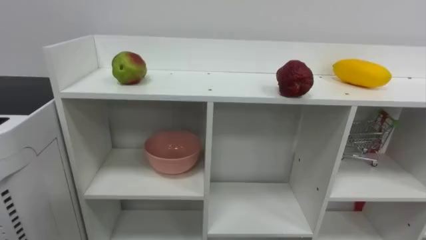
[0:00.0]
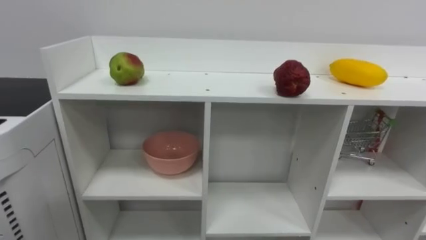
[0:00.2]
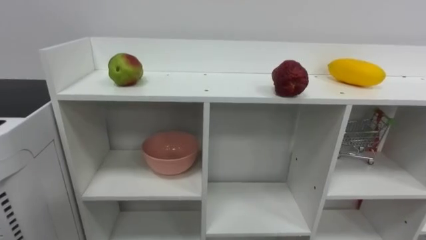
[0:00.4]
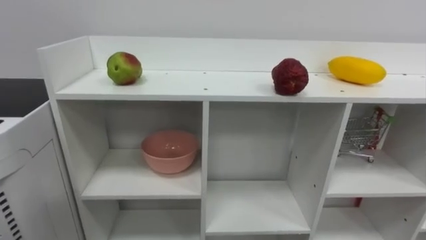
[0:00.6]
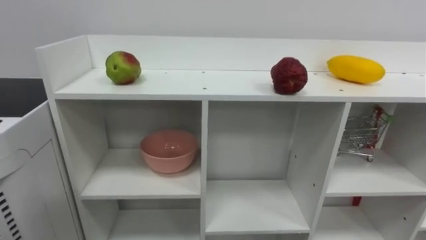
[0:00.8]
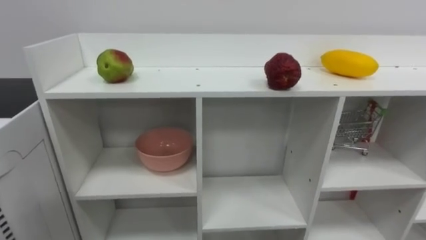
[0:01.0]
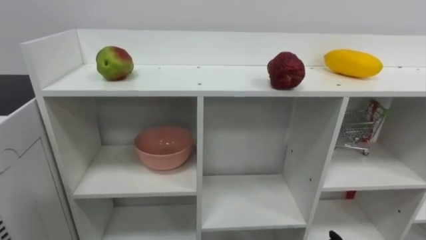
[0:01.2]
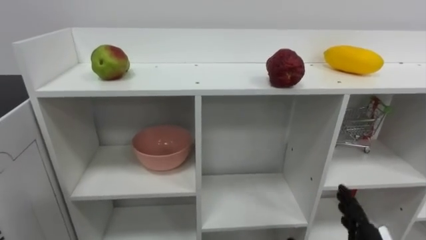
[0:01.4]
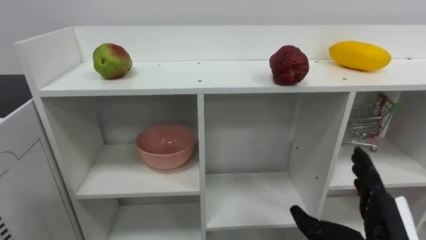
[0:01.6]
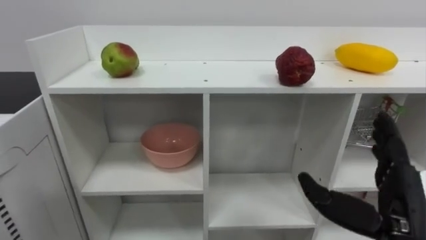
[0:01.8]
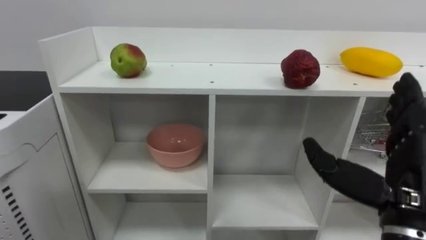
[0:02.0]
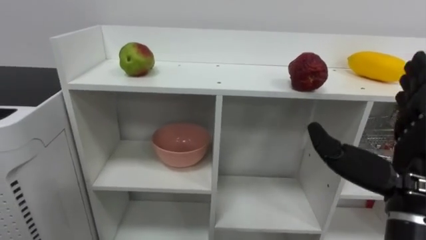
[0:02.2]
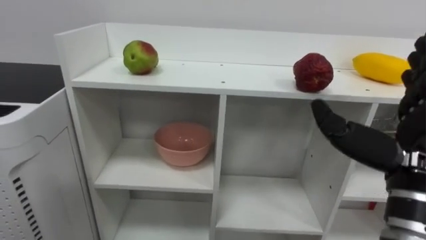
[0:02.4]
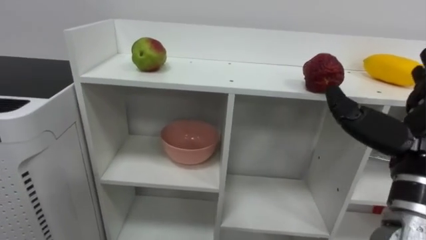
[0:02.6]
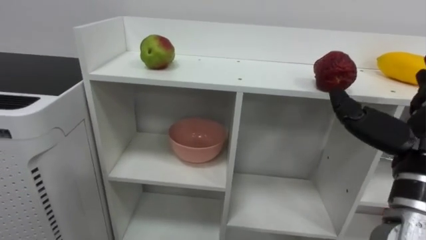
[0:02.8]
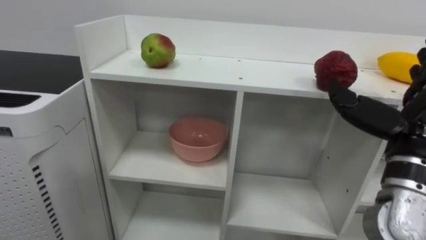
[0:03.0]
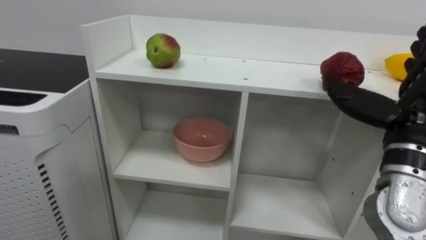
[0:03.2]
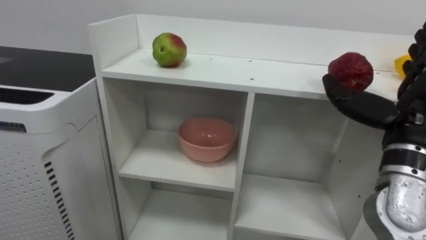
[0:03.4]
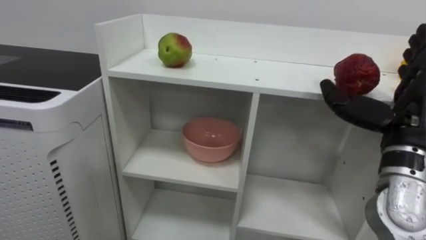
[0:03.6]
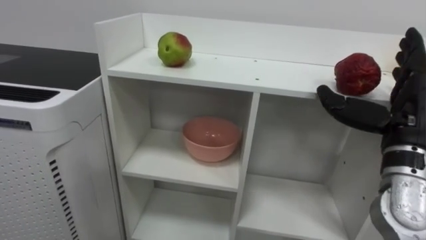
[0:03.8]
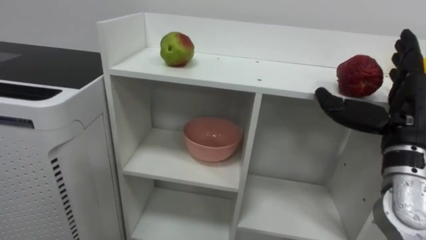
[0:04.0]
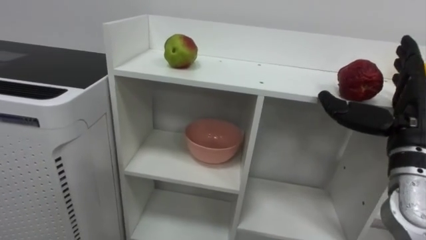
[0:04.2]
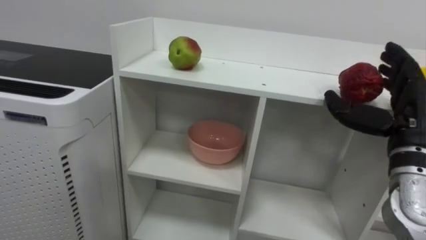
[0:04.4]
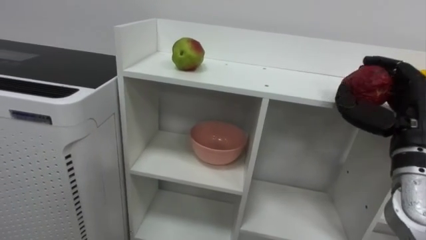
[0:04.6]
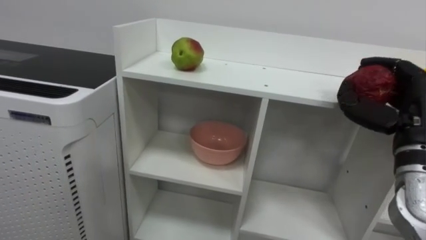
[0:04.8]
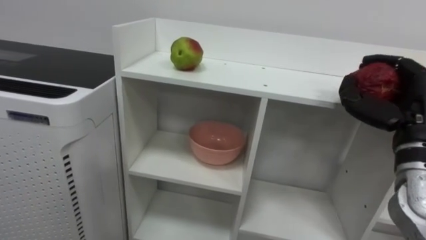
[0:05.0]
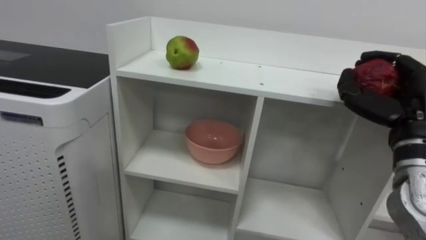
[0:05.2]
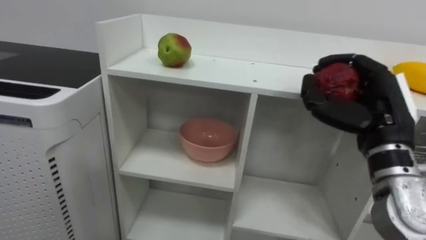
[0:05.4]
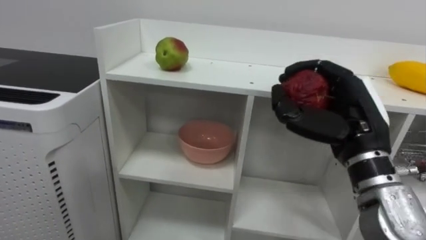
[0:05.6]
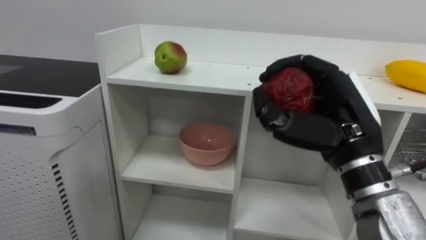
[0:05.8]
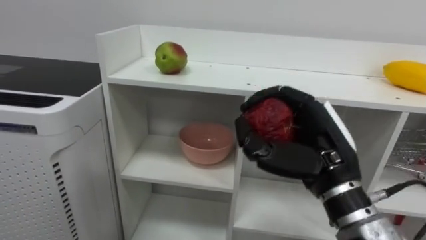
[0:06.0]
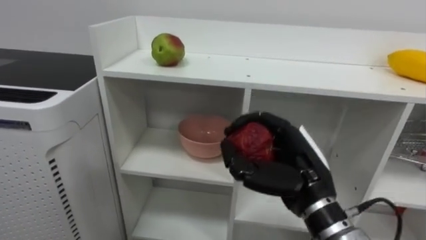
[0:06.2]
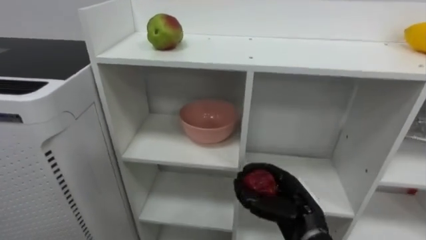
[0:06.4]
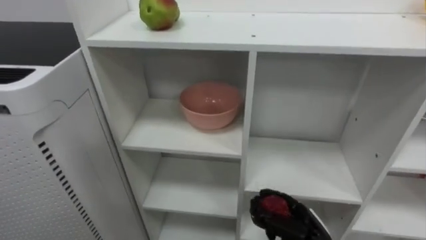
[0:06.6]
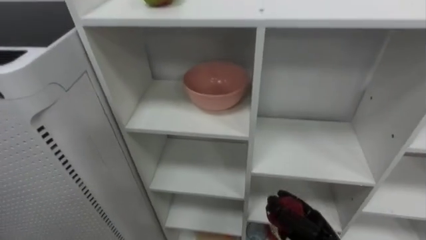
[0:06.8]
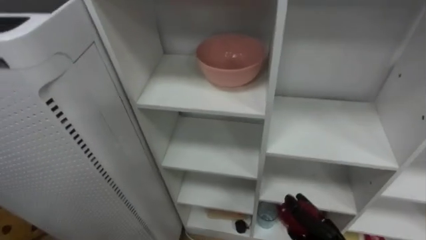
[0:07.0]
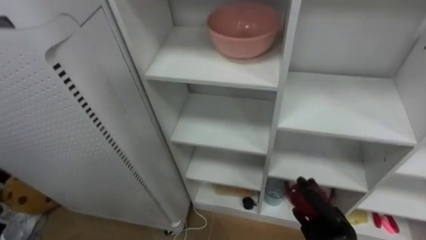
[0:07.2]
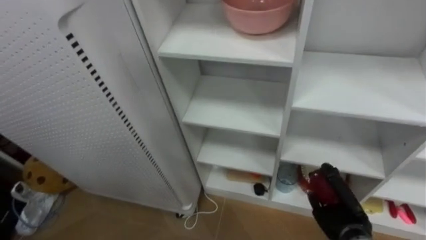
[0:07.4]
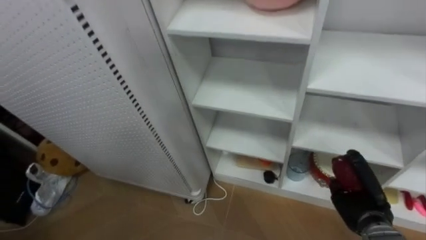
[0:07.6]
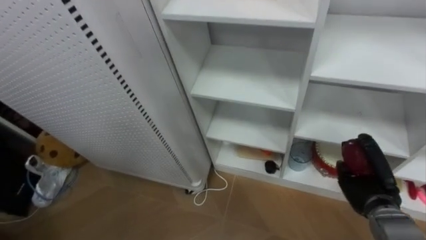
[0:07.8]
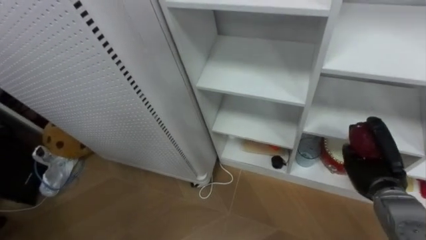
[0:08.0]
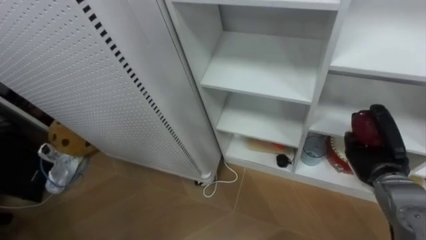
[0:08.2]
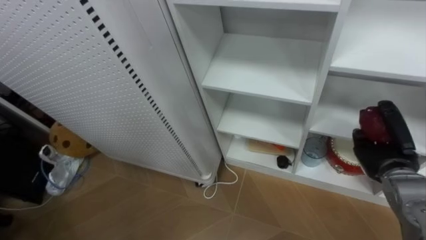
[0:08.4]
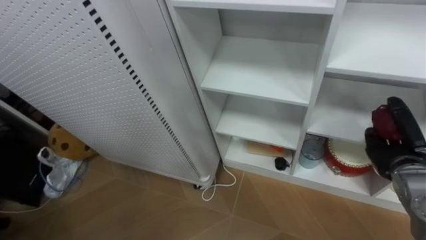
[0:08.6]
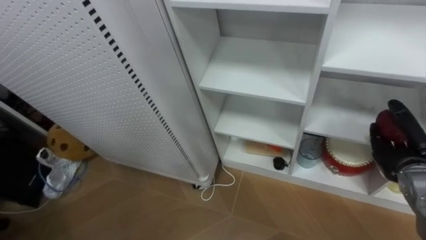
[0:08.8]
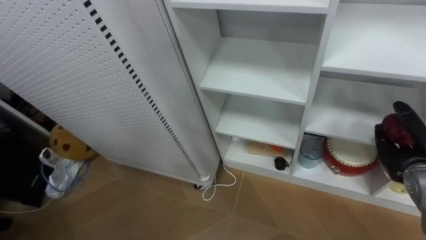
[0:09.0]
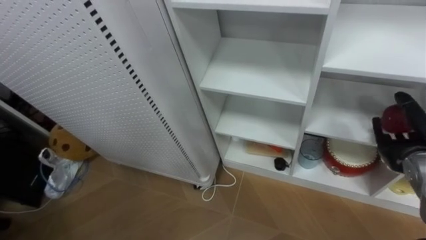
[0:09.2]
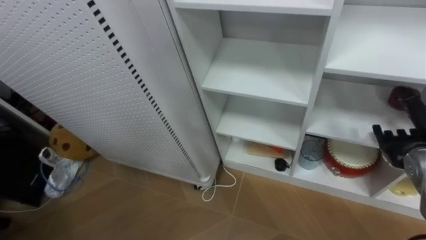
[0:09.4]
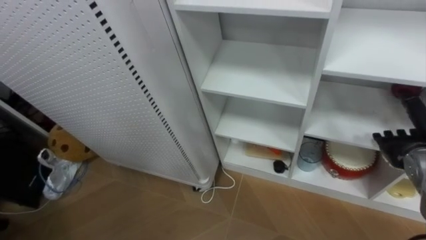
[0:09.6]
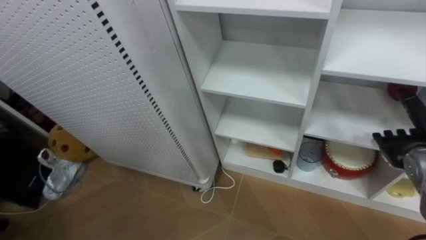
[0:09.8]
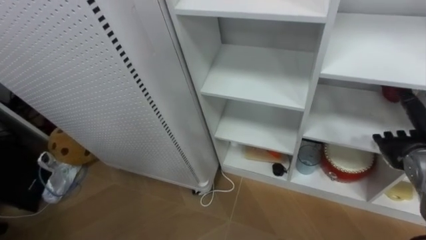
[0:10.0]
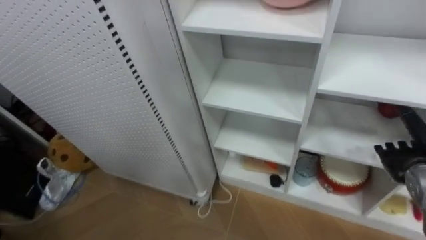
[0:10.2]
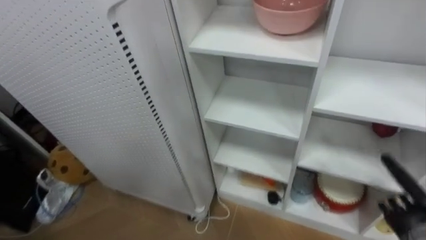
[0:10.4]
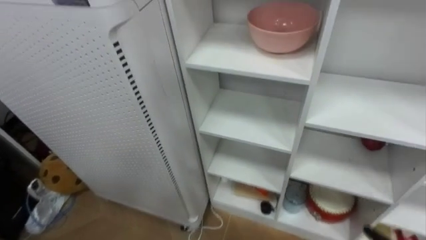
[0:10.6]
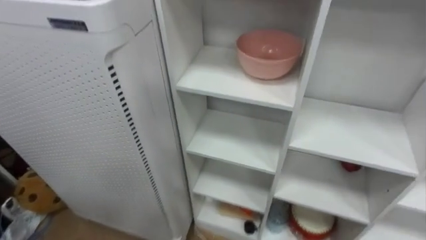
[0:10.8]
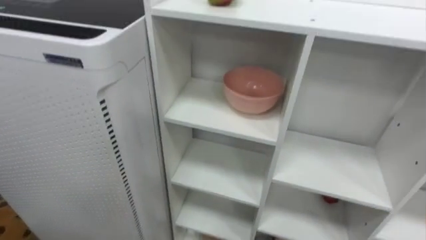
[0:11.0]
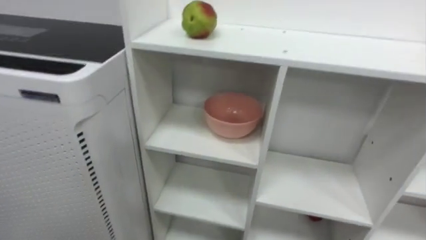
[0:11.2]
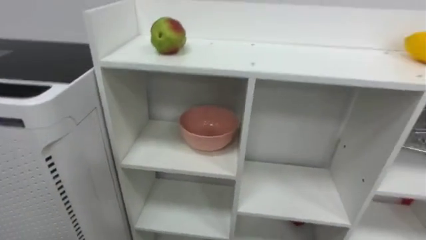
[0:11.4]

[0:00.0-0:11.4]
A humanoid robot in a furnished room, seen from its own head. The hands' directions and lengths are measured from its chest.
Task of the whole recording: Put the apple in the cell in the second column from the left and the second row from the top.
0:02.8 to 0:04.2: The right hand is displaced forward by approximately 5 cm.
0:04.2 to 0:05.6: The right hand travels to the left by roughly 10 cm, and closes up.
0:07.2 to 0:08.6: The right hand moves upward, to the right and forward, some 20 cm.
0:08.6 to 0:10.0: The right hand opens its fingers.

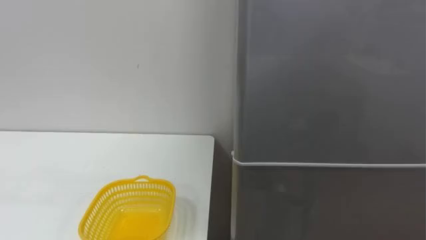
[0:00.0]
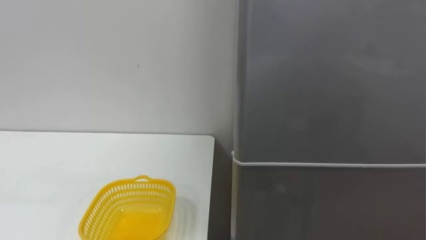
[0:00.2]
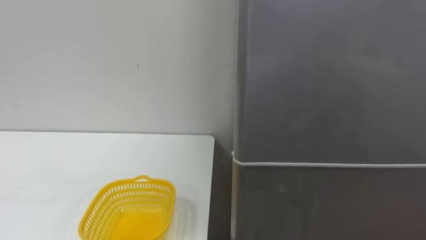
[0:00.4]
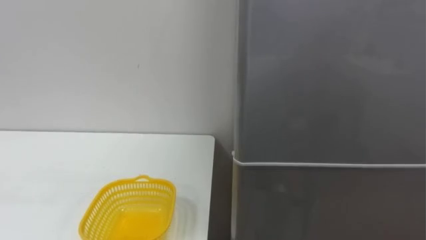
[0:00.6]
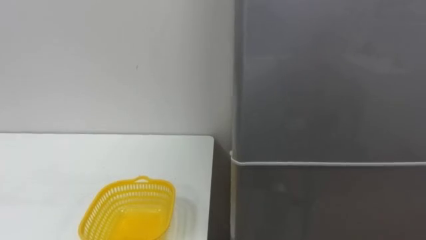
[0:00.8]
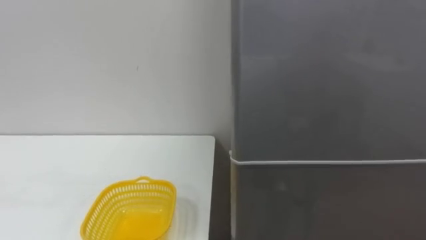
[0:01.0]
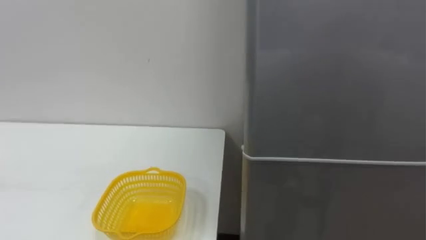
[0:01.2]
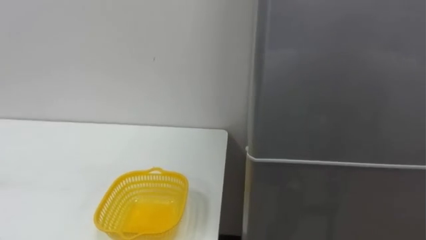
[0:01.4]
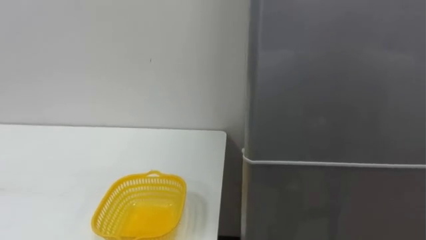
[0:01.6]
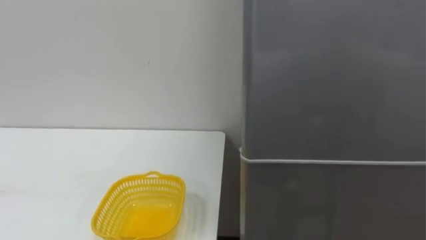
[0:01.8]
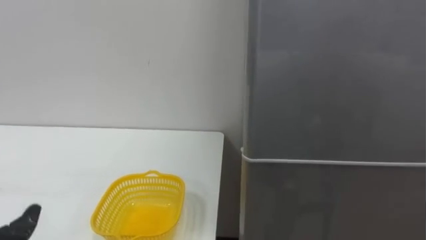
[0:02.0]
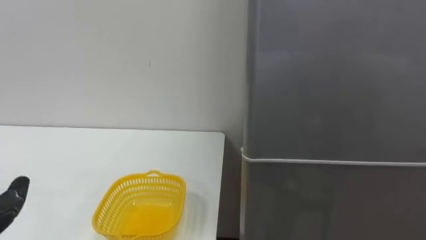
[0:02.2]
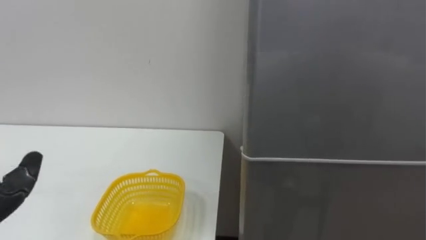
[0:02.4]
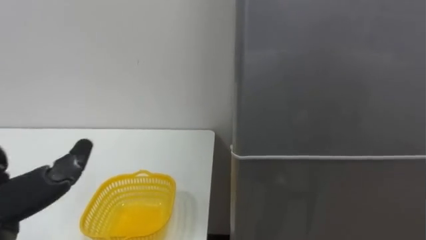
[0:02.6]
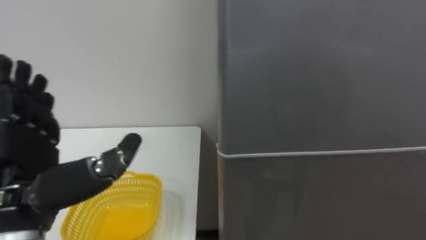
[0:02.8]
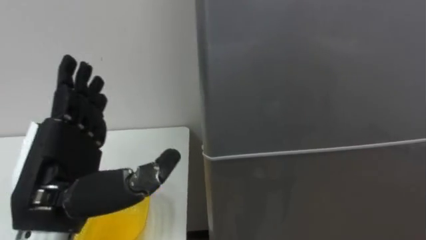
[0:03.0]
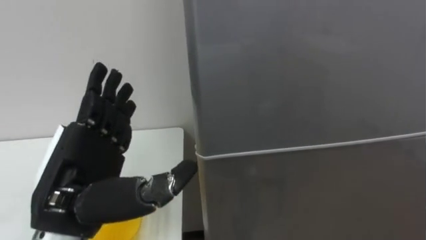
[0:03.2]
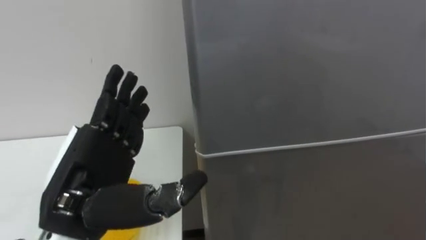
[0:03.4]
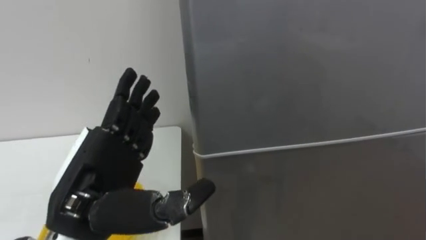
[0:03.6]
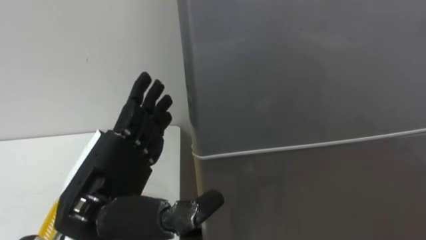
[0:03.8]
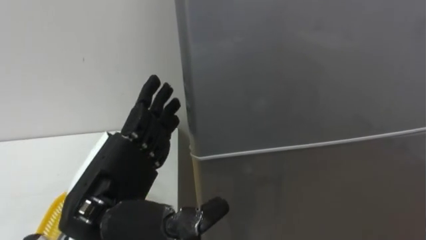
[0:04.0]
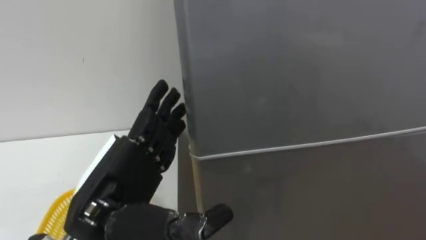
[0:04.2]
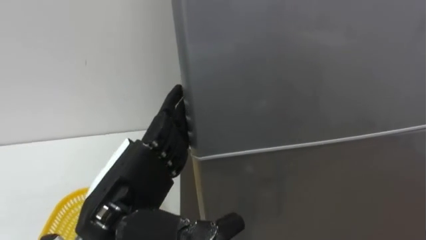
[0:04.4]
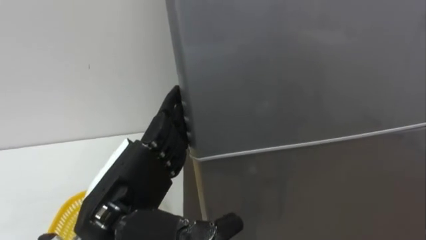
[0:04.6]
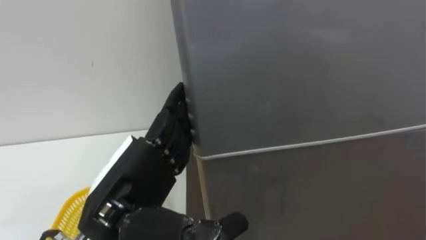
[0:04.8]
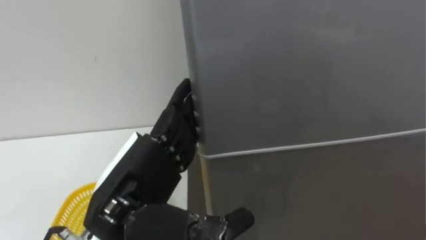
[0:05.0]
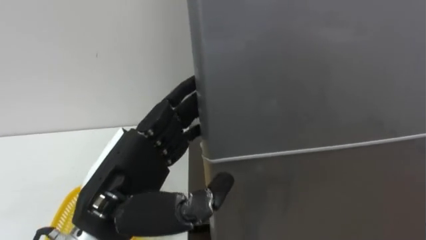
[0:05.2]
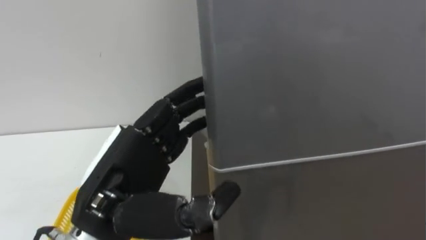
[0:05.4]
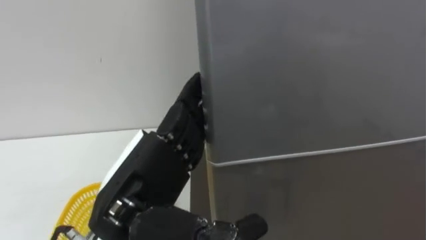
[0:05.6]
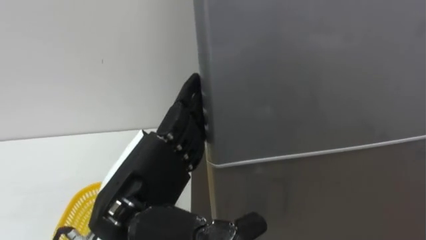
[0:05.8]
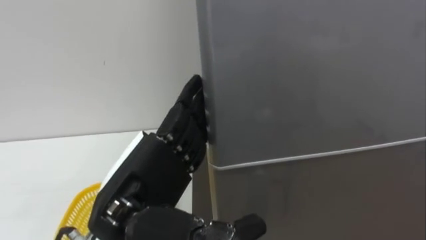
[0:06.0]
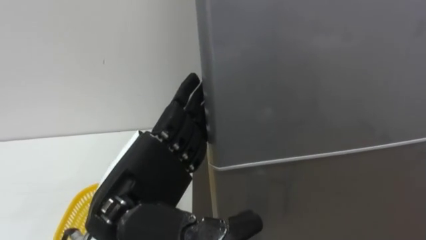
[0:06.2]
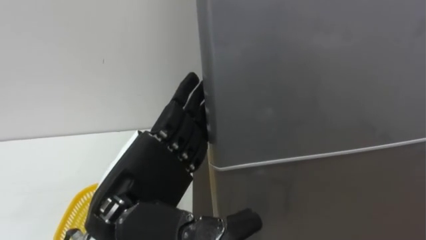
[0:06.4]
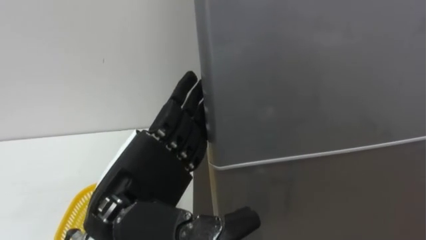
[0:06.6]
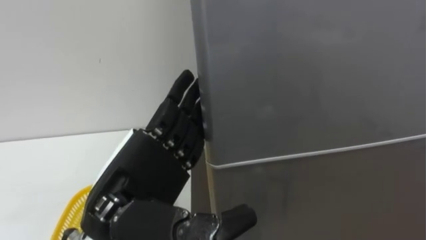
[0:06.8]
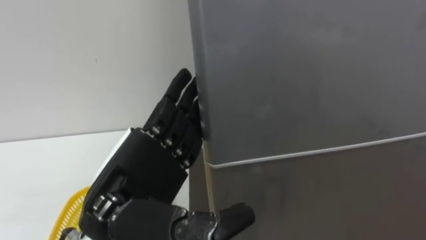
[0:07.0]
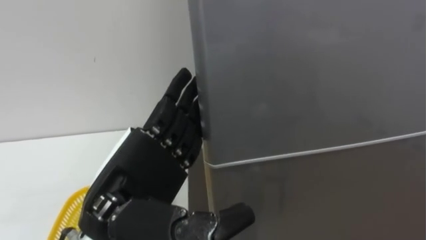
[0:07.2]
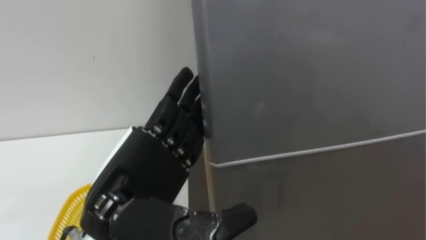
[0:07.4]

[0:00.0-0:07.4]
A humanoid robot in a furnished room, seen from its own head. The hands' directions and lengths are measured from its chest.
Task of the whole recording: Open the refrigerator door, take out the apple and the pomegranate, place them in the fruit basket on the left, and close the refrigerator door.
0:03.0 to 0:04.4: The left hand travels to the right by about 5 cm.
